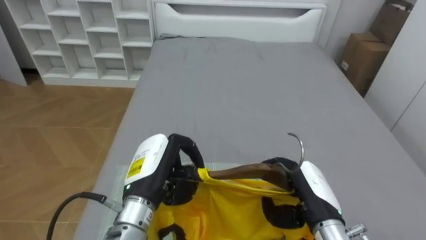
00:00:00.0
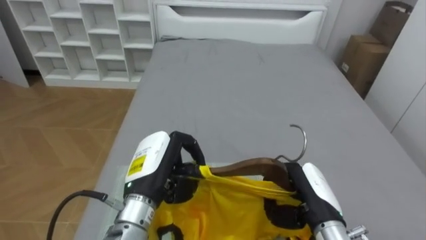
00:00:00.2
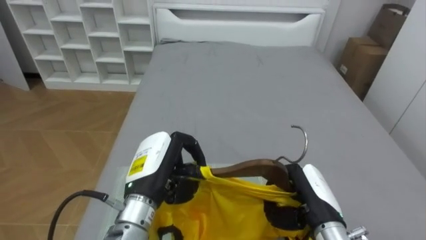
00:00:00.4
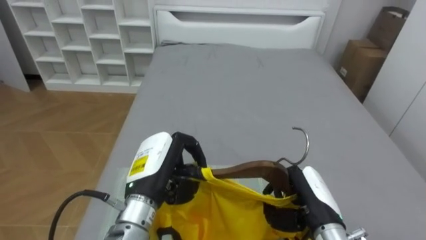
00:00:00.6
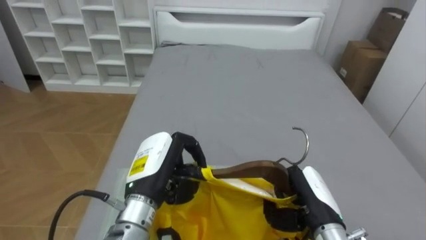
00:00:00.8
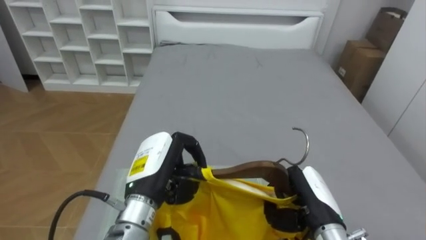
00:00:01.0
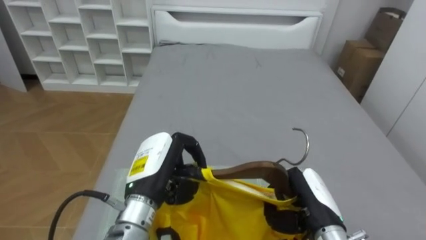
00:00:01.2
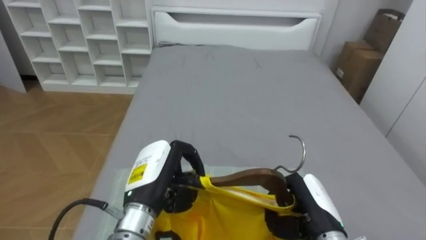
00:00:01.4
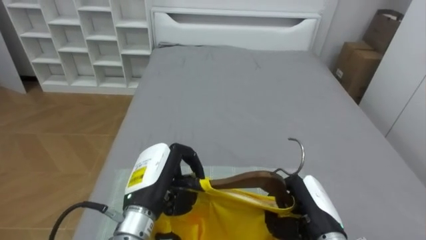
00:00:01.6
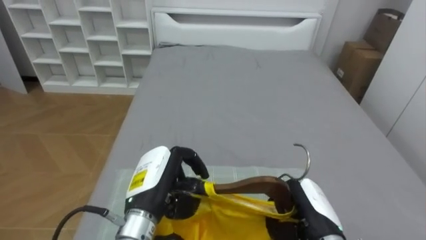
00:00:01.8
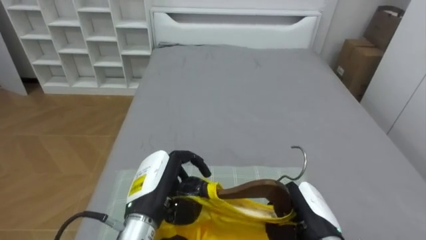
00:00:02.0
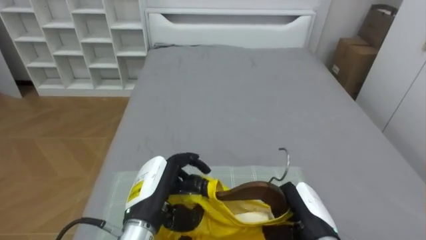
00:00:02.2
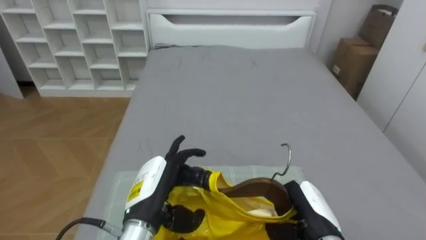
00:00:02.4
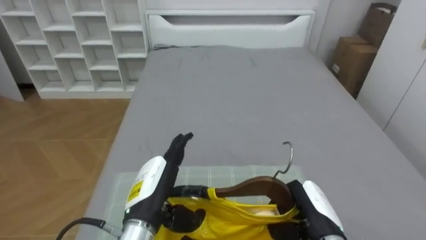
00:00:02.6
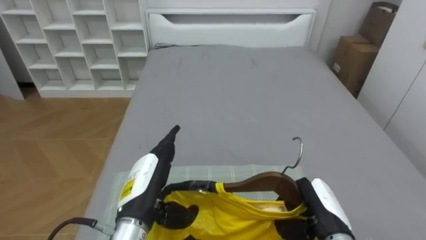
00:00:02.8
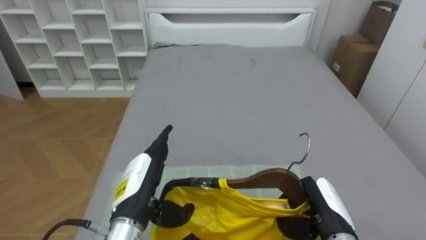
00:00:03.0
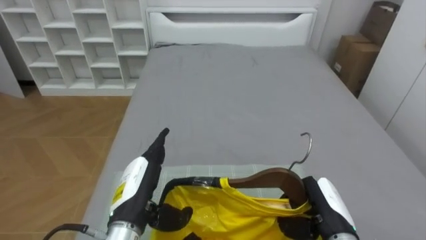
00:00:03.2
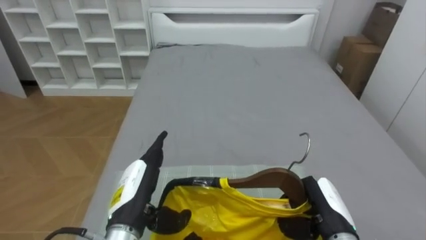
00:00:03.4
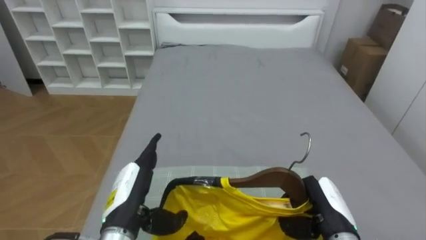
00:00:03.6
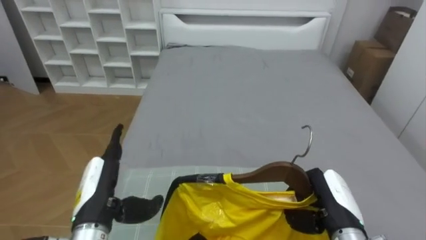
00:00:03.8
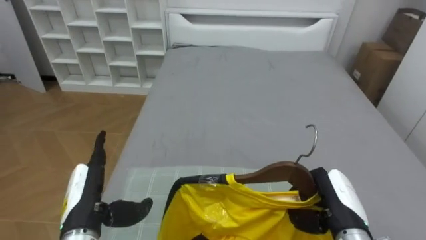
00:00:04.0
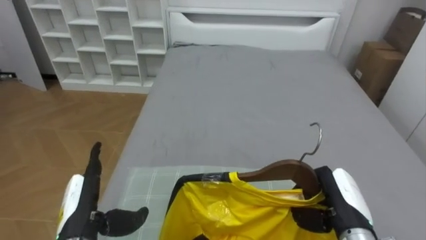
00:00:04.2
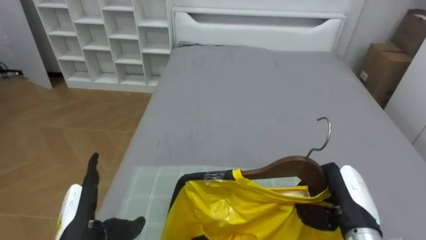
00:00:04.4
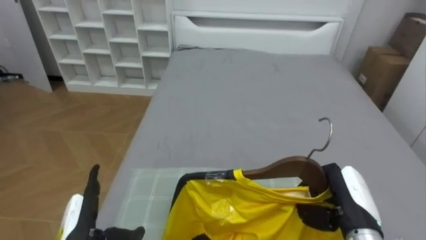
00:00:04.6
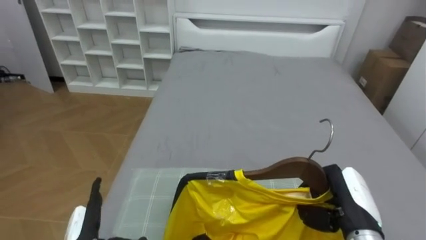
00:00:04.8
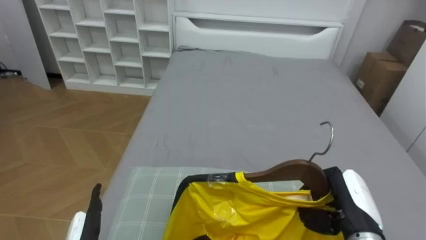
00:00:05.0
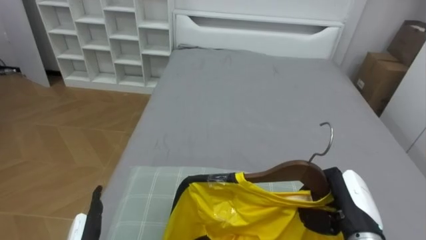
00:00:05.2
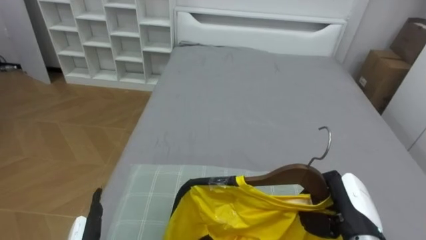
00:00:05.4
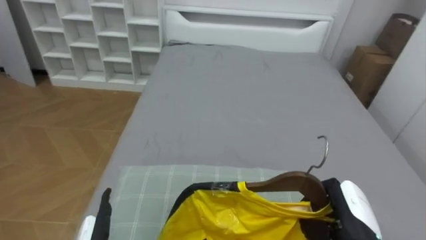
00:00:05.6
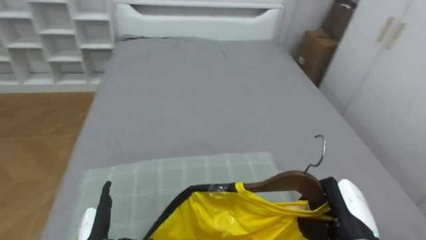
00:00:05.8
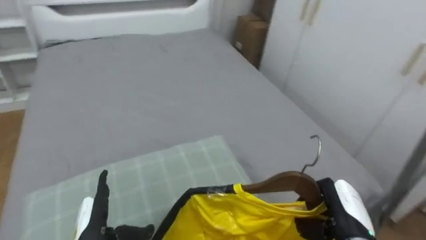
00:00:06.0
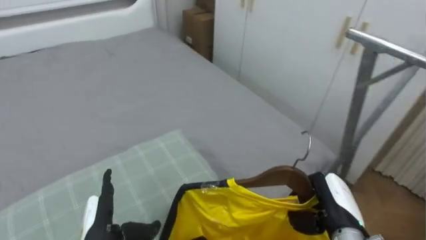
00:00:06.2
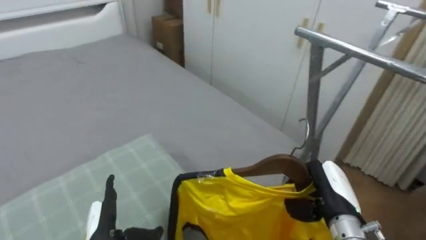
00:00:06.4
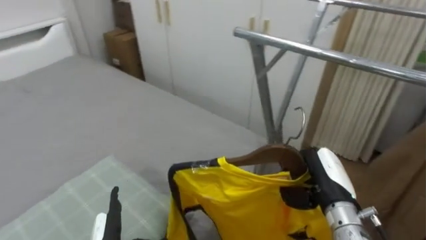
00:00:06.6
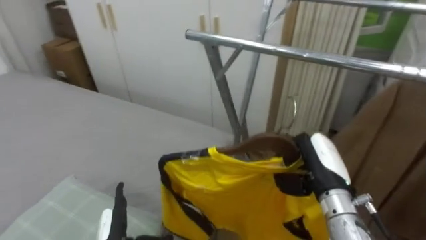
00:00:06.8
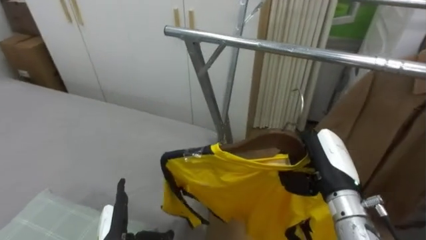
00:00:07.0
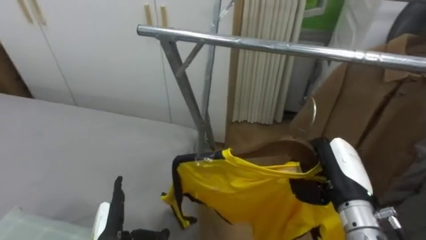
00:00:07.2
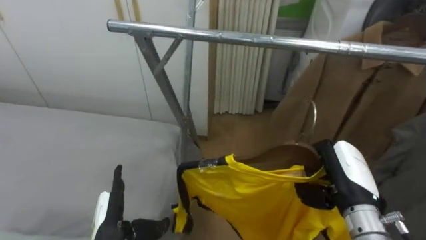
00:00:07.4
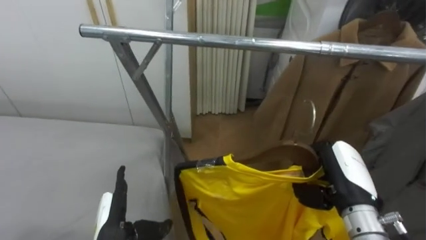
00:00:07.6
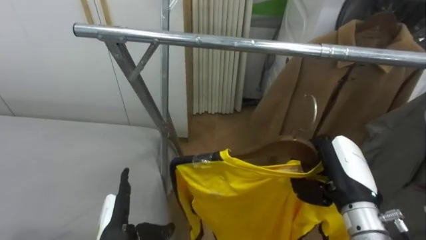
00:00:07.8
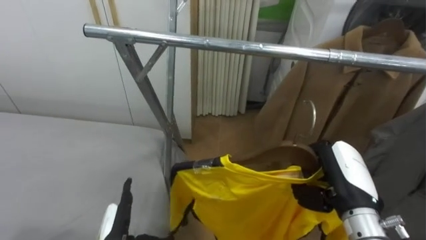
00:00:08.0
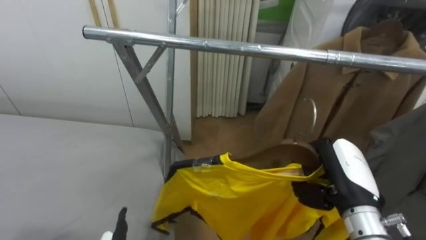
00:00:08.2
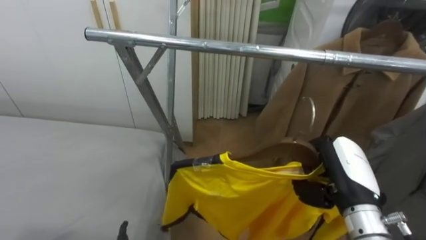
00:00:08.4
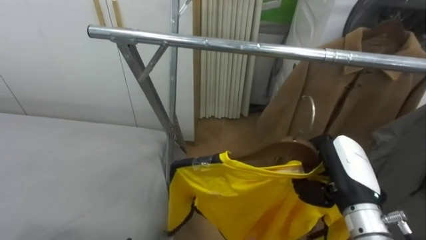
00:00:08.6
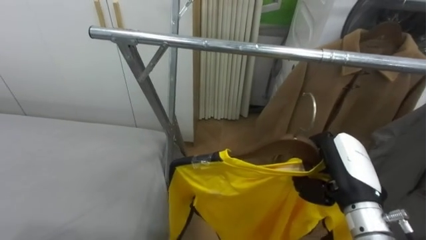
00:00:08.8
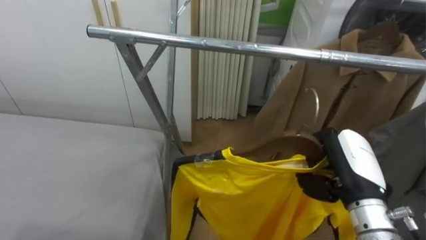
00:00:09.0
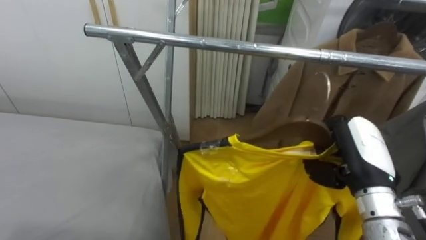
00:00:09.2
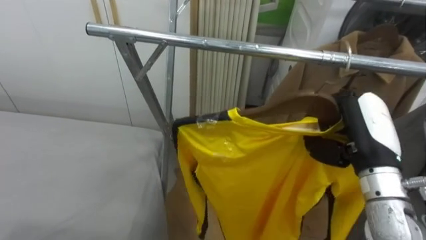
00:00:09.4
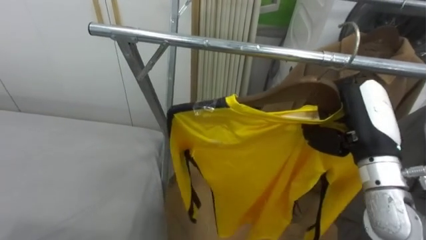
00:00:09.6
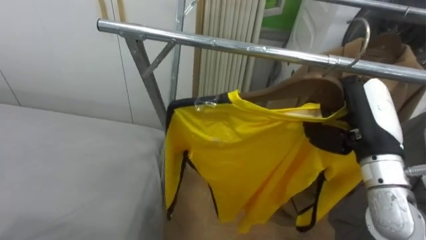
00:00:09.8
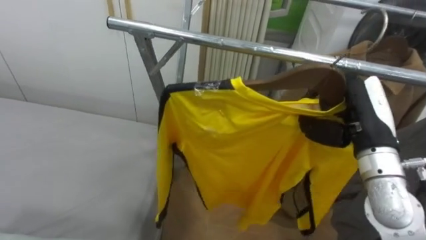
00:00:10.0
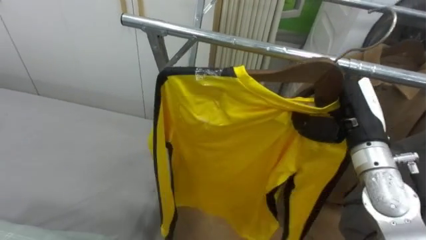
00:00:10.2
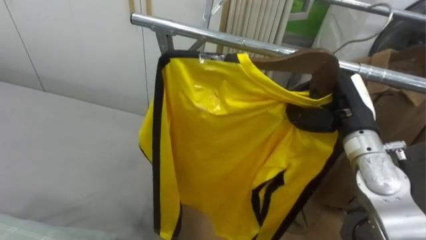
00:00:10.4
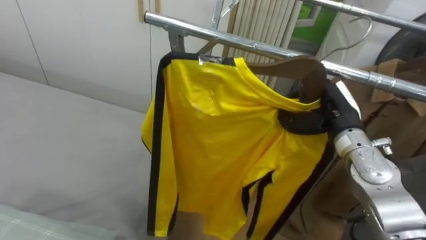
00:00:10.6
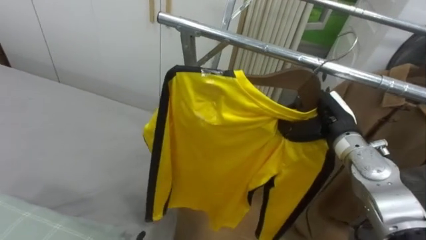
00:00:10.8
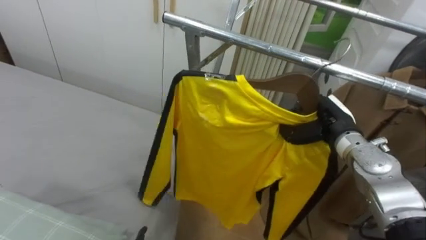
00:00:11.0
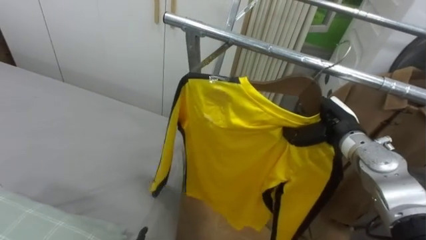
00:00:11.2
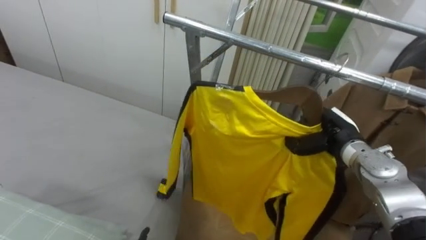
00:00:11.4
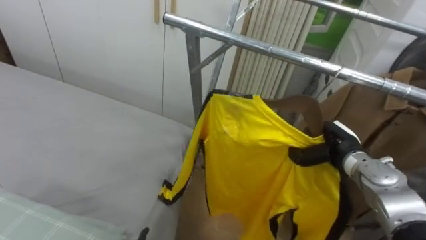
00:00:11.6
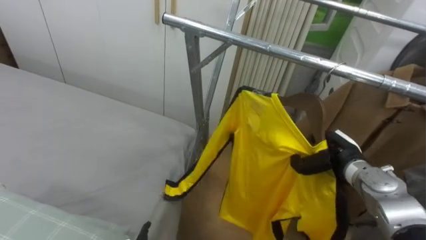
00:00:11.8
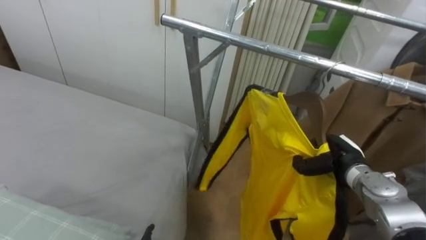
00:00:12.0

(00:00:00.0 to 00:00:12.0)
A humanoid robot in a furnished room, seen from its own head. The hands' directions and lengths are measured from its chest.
Task of the whole recording: Pick up the yellow shirt on the bed and hang it on the clothes rack on the right.
00:00:00.0 - 00:00:01.6: The right hand closes its fingers.
00:00:01.6 - 00:00:03.0: The left hand opens.
00:00:03.0 - 00:00:04.4: The left hand moves to the left, approximately 10 cm.
00:00:04.4 - 00:00:06.0: The robot's body swings some 25 degrees to its right.
00:00:06.0 - 00:00:07.6: The robot turns to its right by about 60 degrees. The right hand shifts approximately 10 cm upward.
00:00:09.0 - 00:00:10.4: The right hand shifts about 10 cm forward and upward.
00:00:10.4 - 00:00:12.0: The right hand heads downward, covering approximately 15 cm.

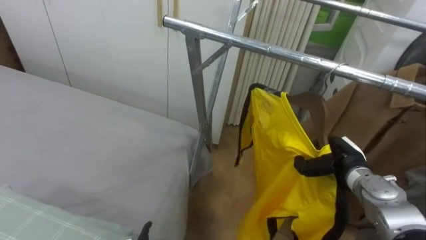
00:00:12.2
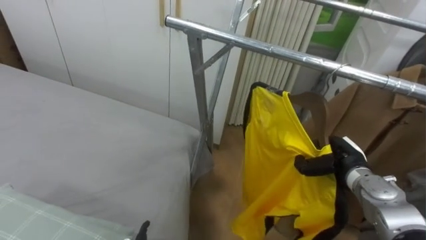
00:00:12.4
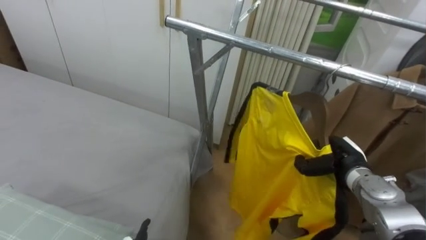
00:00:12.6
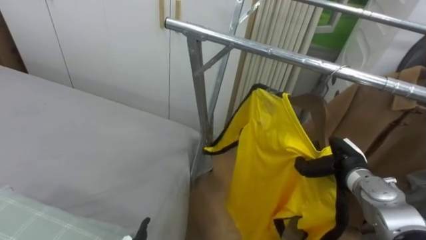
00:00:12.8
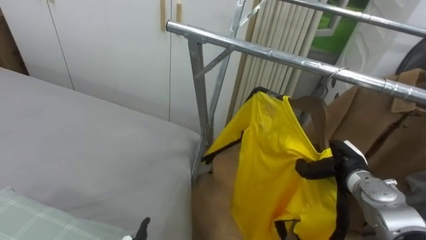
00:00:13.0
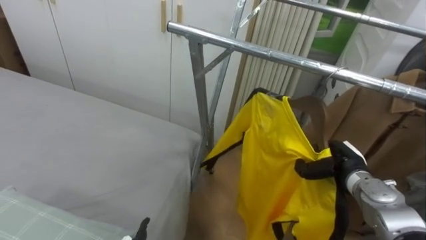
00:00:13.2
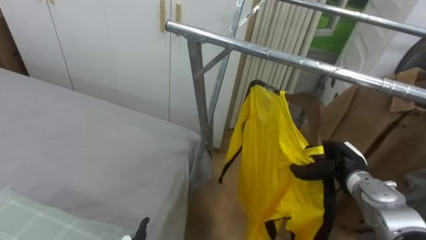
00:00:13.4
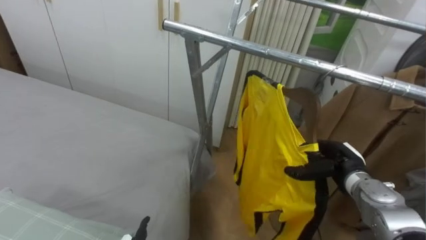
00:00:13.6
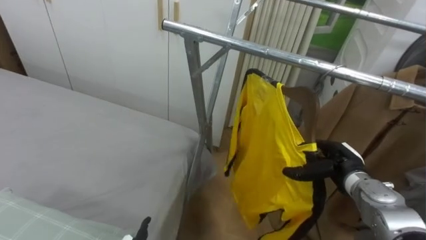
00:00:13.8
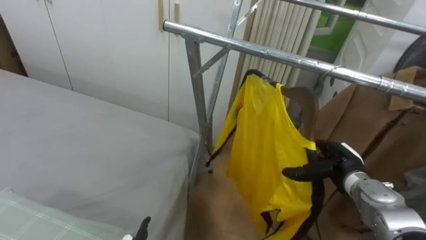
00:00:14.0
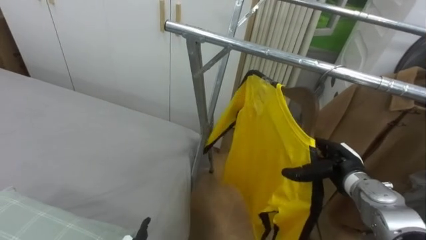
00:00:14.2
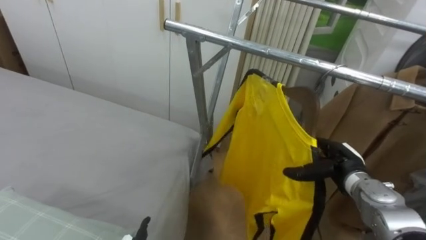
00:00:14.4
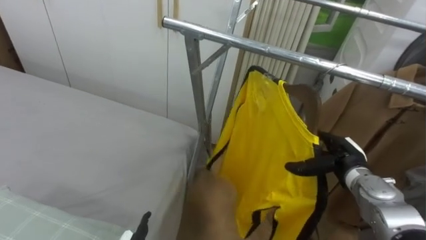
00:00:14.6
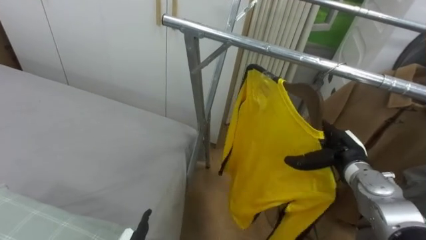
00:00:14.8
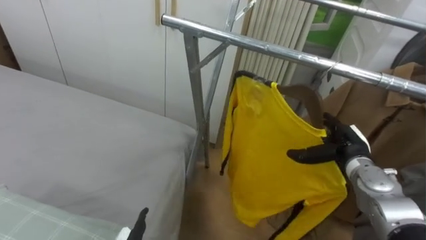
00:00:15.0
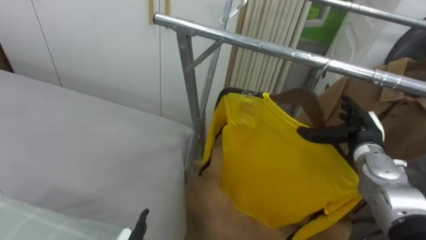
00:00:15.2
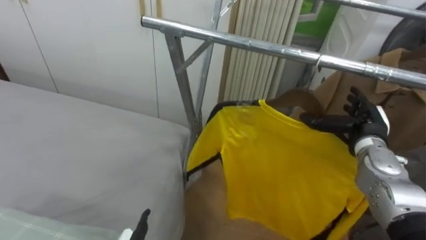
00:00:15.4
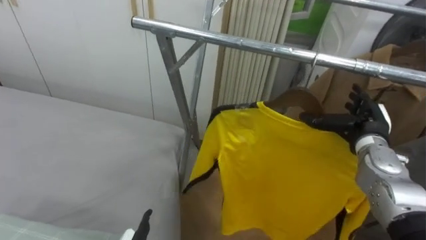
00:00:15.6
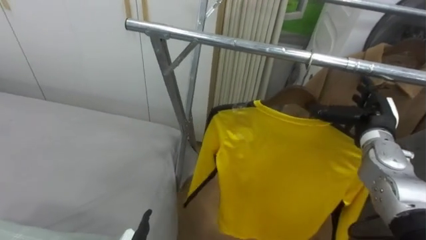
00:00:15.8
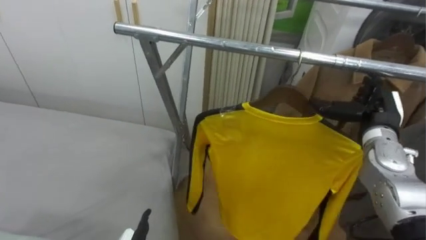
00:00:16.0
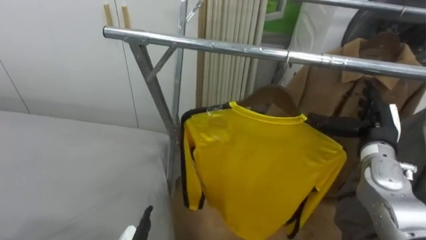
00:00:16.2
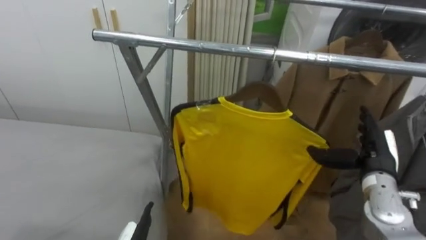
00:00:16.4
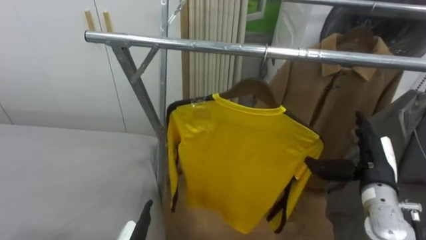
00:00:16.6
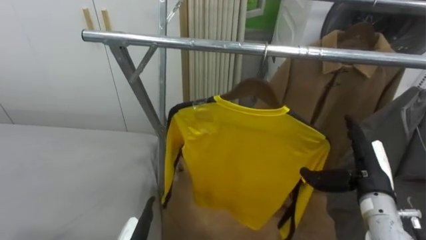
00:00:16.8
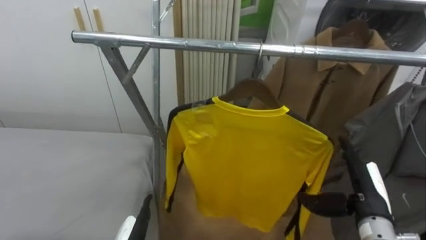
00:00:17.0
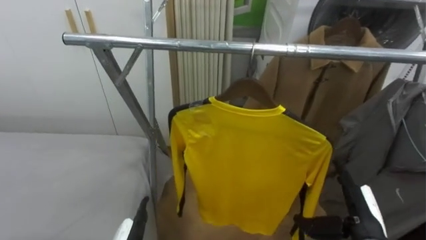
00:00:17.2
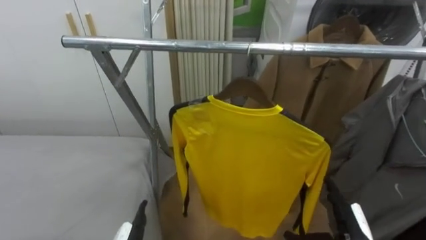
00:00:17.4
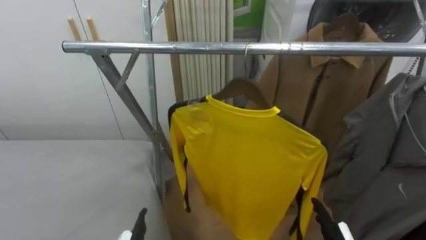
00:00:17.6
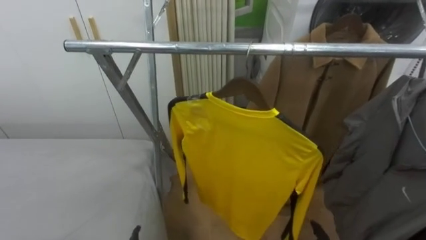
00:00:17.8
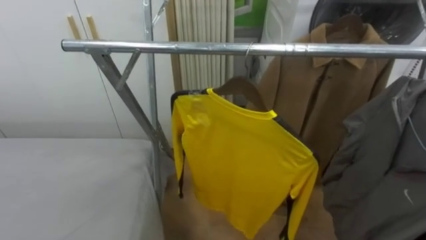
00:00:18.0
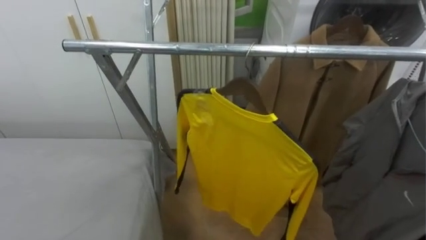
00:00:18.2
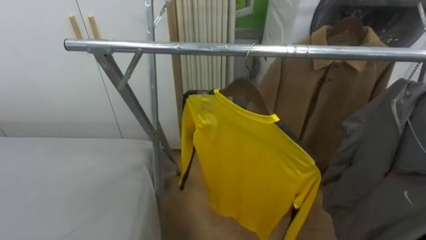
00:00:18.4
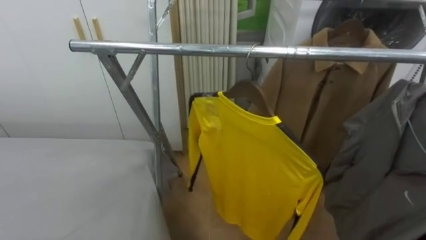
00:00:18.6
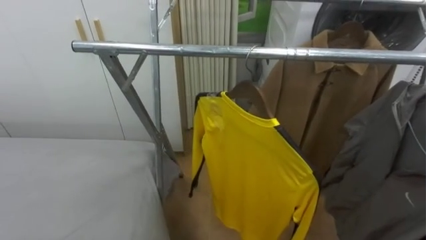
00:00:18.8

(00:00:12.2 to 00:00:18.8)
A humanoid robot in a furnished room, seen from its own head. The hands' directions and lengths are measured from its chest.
Task of the whole recording: Pick up the yellow shirt on the bed and hang it on the clothes rack on the right.
00:00:12.2 - 00:00:13.8: The right hand opens its fingers.
00:00:13.8 - 00:00:15.4: The right hand is displaced upward by roughly 10 cm.
00:00:15.4 - 00:00:17.2: The right hand goes roughly 15 cm backward and downward.
